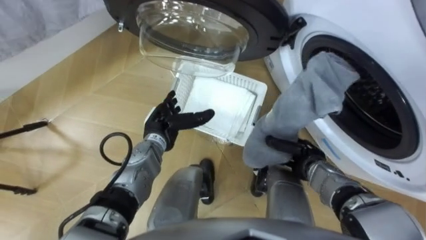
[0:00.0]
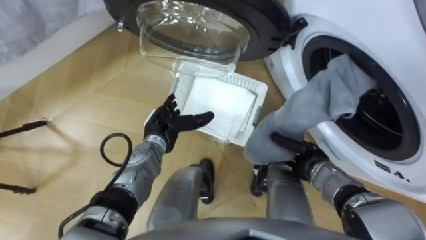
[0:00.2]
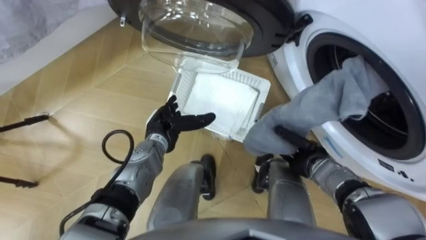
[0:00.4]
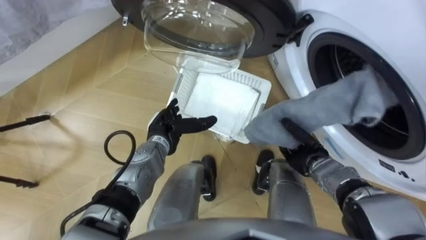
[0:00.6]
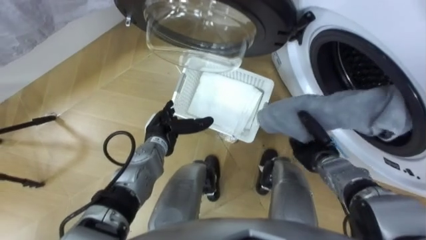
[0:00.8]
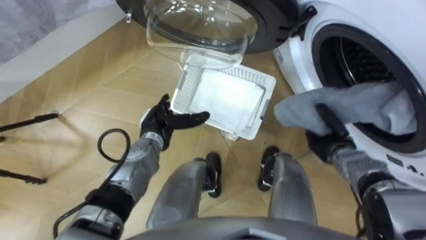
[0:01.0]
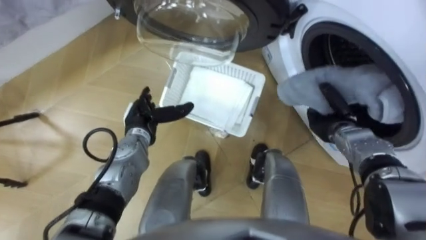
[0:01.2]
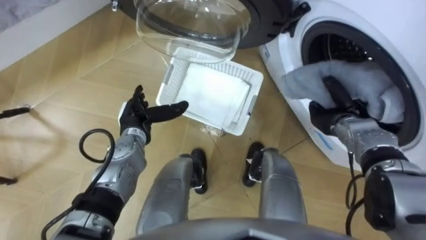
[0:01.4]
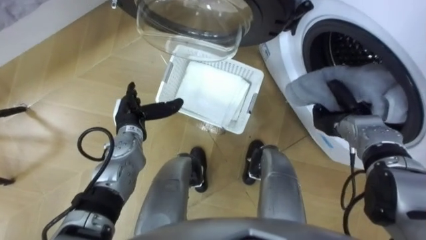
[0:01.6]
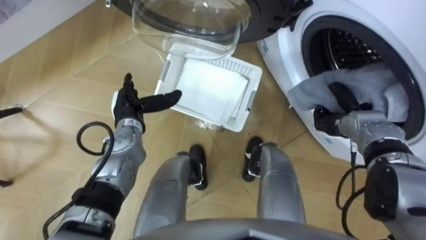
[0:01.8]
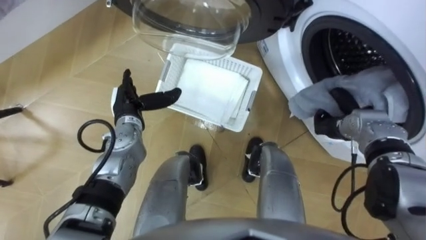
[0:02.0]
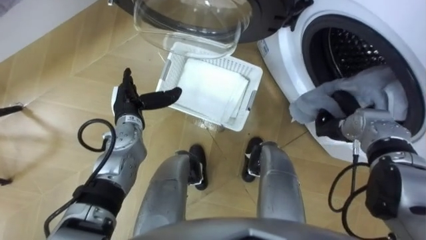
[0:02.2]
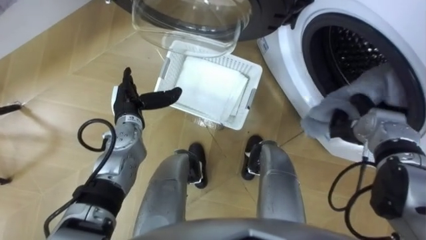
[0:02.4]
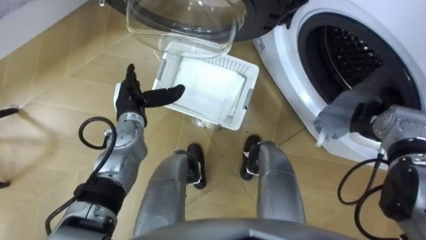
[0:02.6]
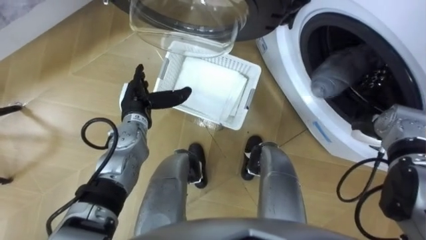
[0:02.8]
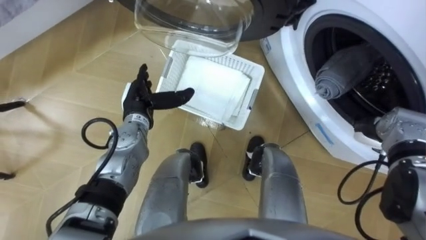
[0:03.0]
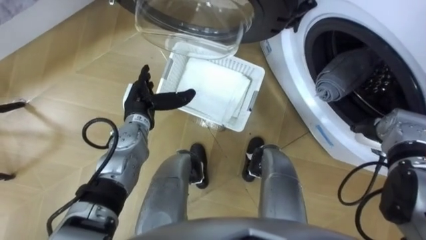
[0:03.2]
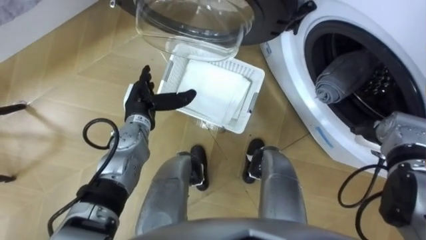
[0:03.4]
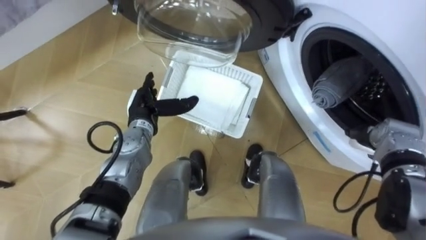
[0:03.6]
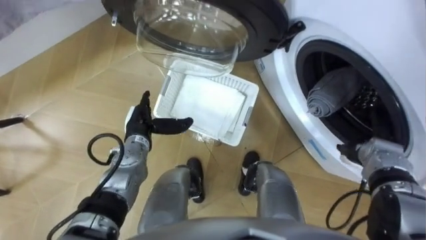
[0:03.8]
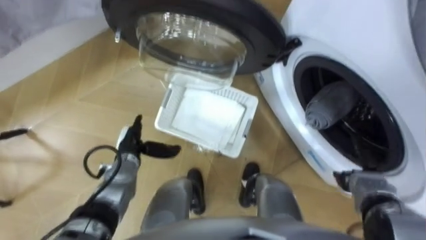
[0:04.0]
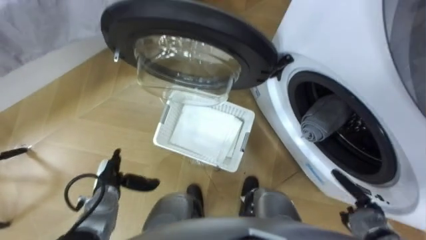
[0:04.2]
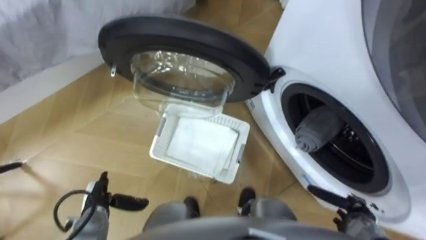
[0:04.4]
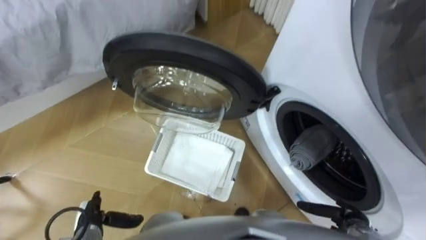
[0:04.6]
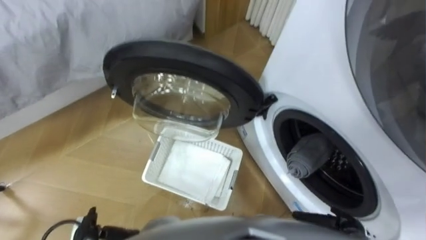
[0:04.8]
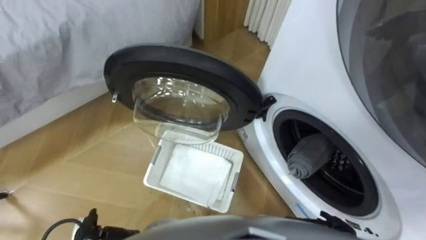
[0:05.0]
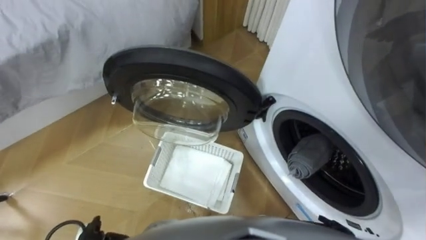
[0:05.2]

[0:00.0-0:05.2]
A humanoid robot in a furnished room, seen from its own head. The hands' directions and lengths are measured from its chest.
Task of the whole recording: Take the towel from the basket and put it into the washing machine.
0:00.0 to 0:01.8: The left hand is displaced to the left by roughly 5 cm. The right hand goes about 10 cm forward, to the right and upward.
0:01.8 to 0:03.4: The right hand travels to the right by approximately 10 cm, and opens its fingers.

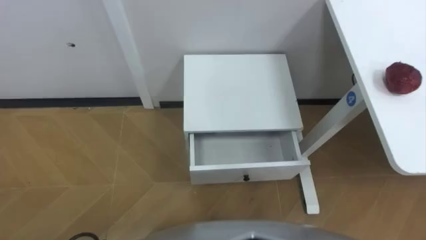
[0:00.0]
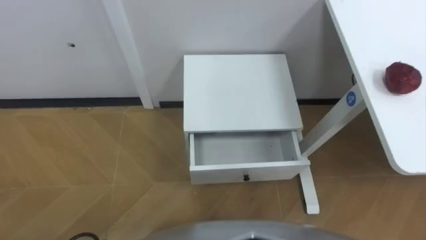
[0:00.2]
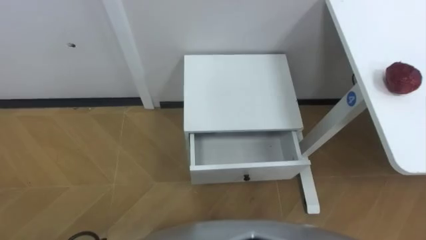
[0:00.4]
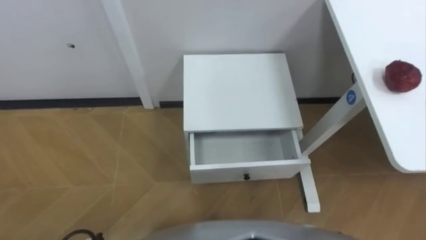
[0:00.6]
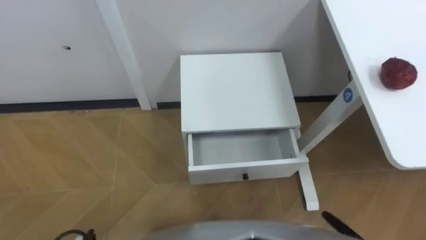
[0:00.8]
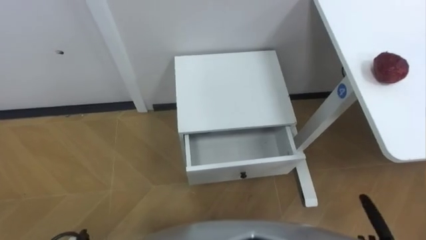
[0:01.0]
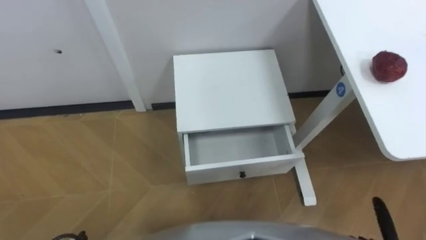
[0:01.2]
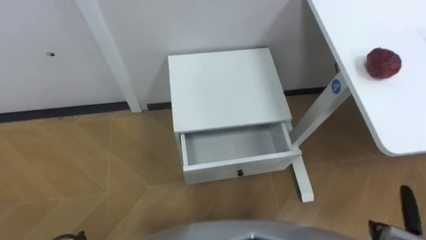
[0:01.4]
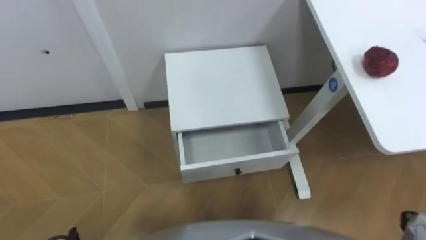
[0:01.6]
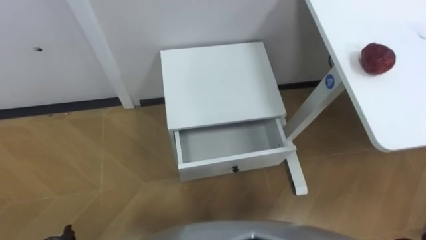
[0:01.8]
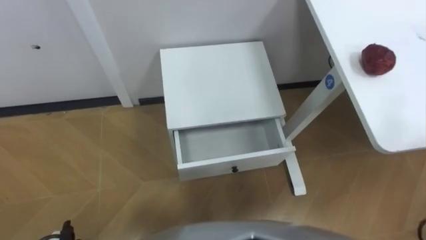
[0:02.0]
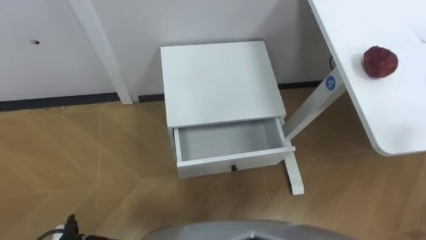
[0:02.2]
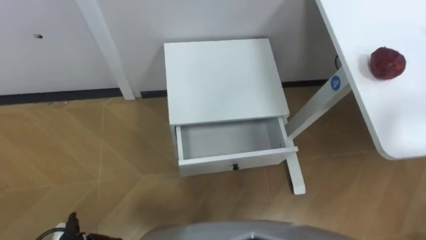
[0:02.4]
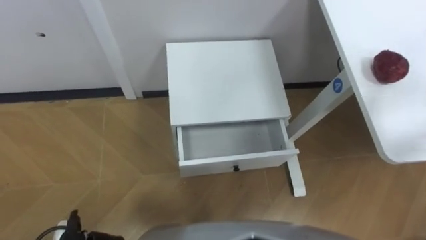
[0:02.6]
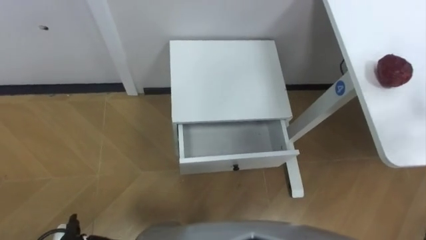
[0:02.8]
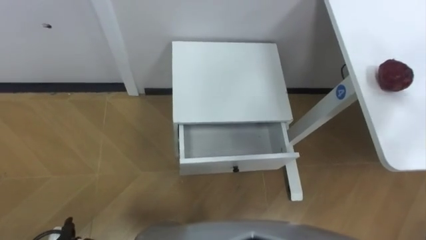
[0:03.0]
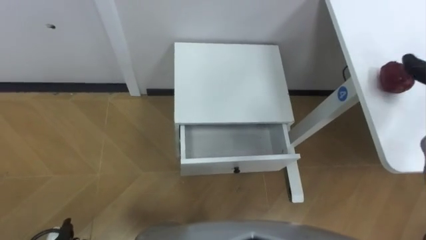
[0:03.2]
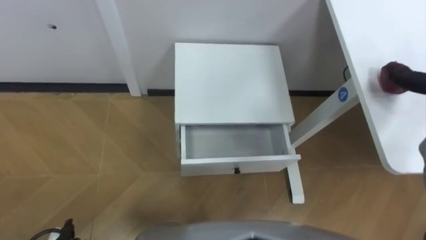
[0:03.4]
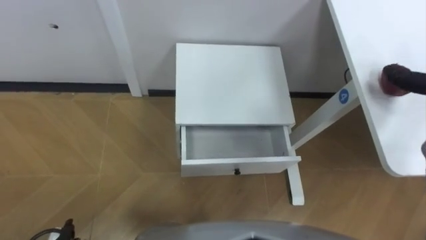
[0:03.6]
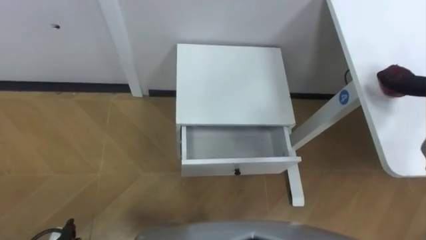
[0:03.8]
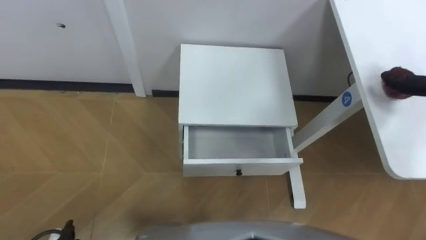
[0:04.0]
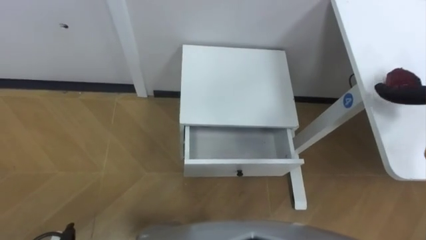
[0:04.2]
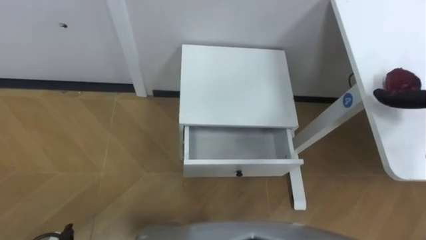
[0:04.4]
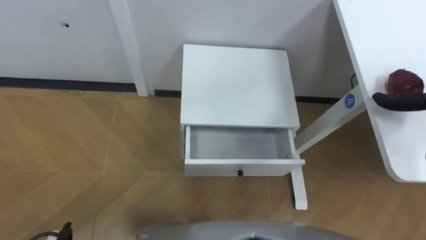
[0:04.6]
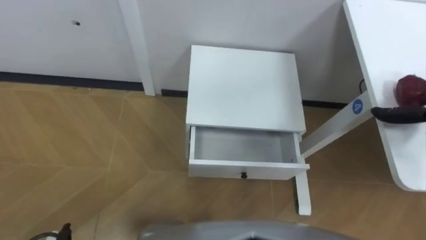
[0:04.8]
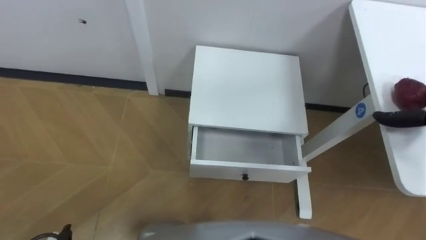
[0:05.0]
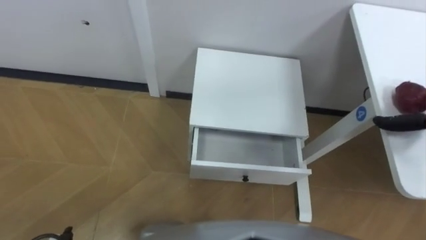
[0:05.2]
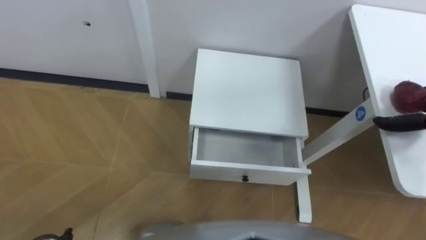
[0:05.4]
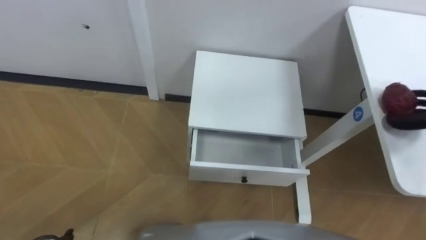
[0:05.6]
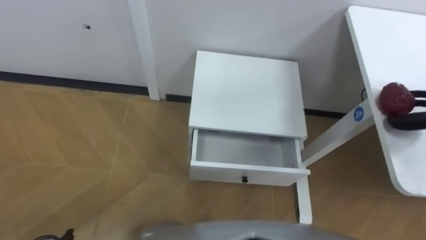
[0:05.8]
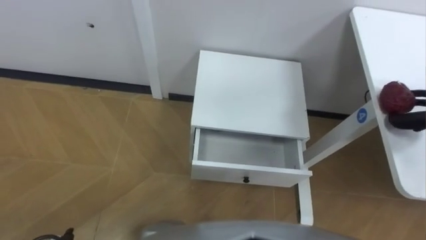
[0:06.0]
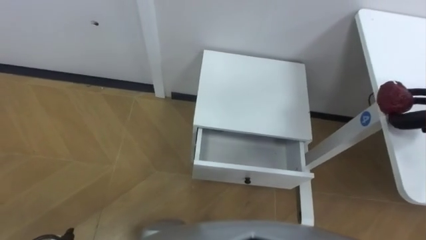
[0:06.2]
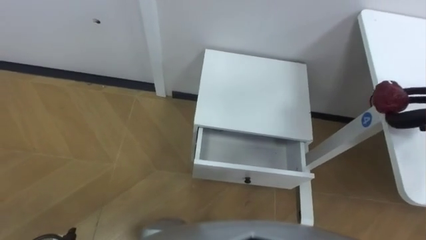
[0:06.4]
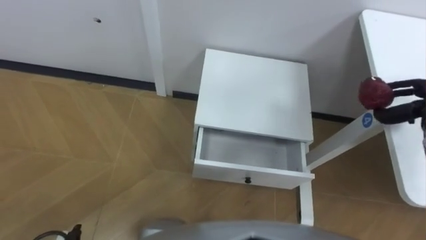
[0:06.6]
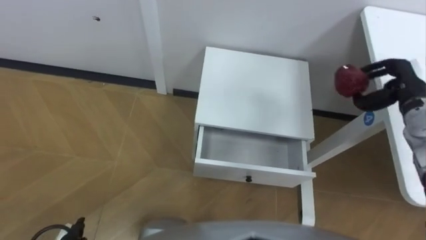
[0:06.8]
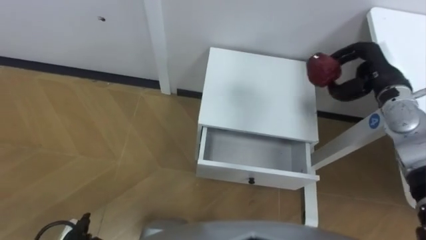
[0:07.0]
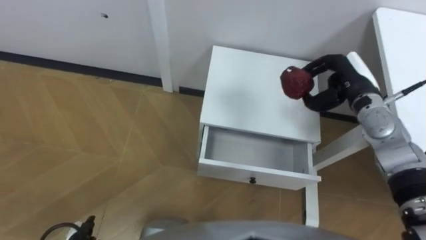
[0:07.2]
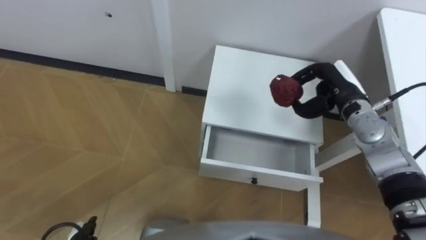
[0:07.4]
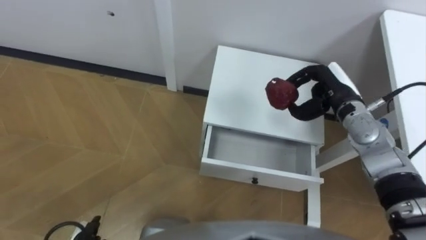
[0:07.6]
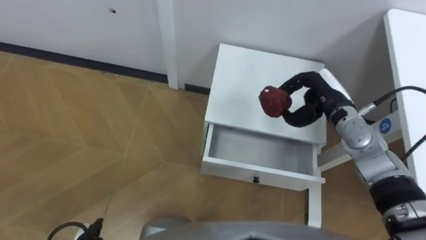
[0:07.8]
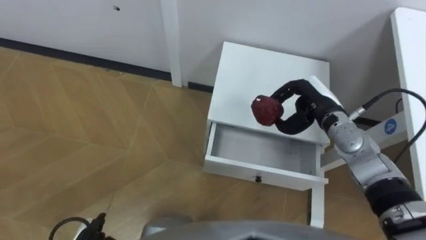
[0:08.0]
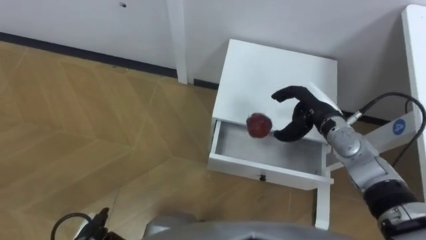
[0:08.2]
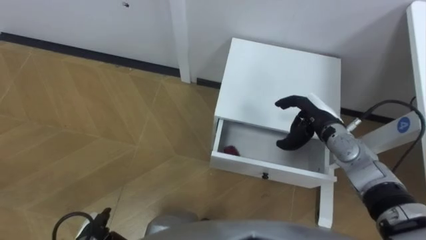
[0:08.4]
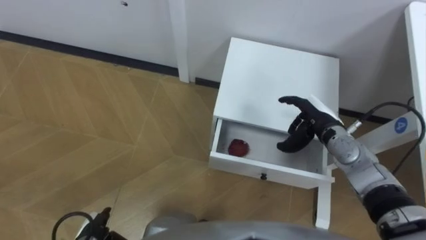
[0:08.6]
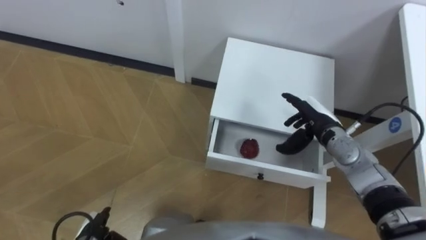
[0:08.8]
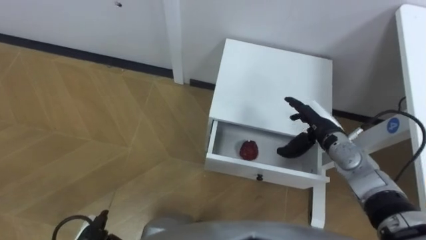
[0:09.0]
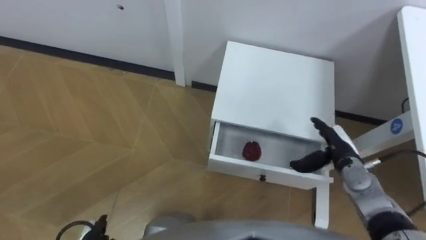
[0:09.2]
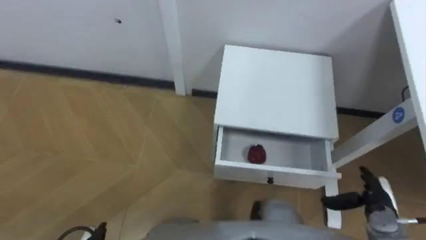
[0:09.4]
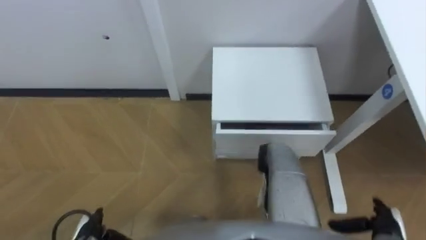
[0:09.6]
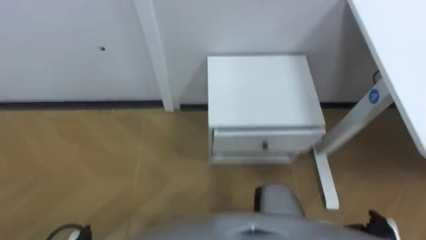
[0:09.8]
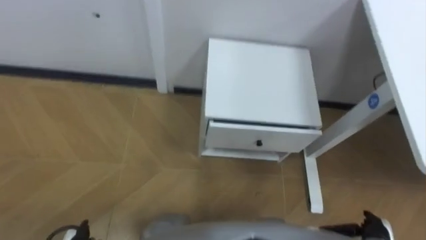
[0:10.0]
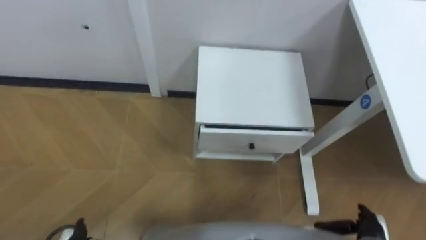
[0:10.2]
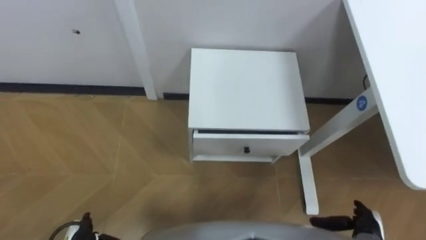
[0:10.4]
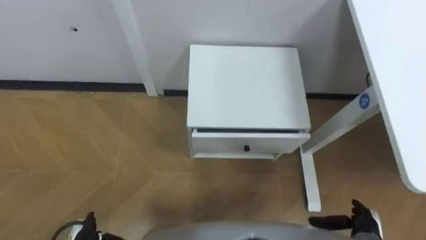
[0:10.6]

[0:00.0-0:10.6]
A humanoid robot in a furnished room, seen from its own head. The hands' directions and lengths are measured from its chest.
Task of the whole recording: Pick up the apple from the table, put it in the drawer, and close the drawer with leg.
0:07.6 to 0:09.0: The right hand is displaced downward by some 5 cm, and opens up.
0:09.0 to 0:10.6: The right hand heads backward, downward and to the right, covering approximately 25 cm.

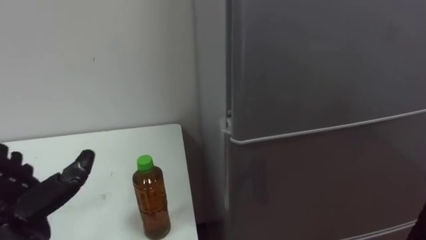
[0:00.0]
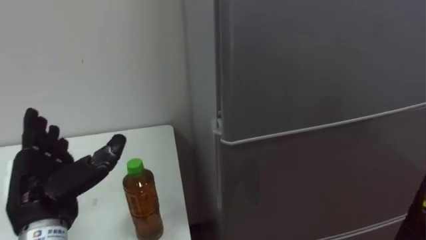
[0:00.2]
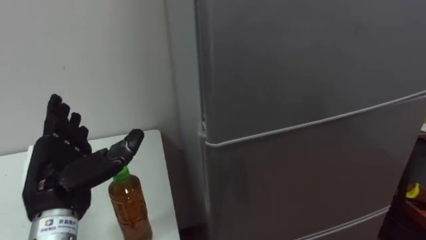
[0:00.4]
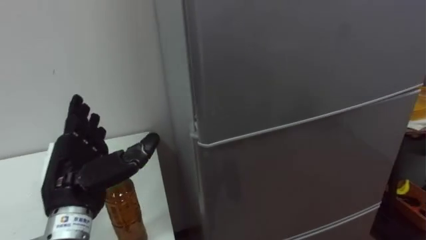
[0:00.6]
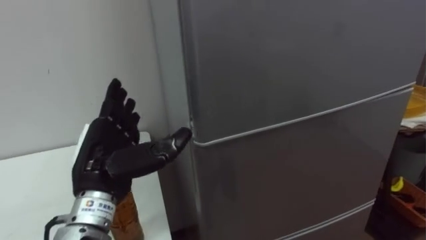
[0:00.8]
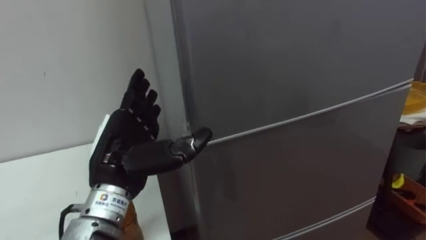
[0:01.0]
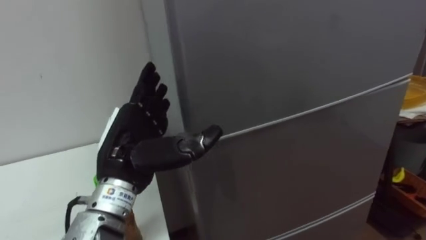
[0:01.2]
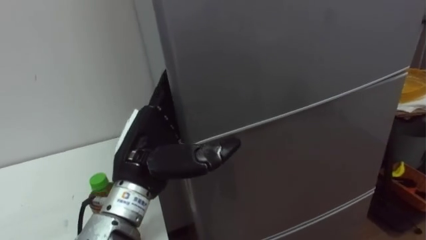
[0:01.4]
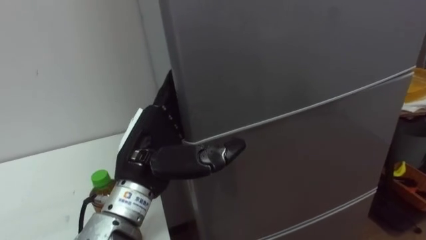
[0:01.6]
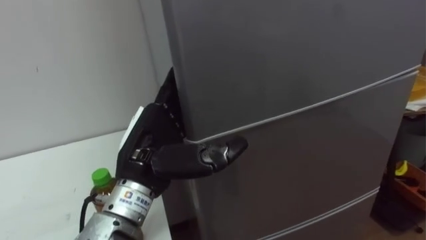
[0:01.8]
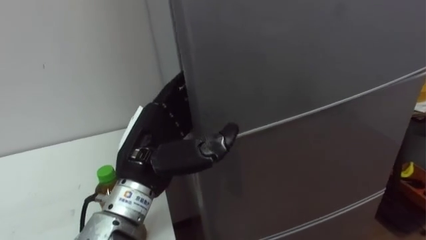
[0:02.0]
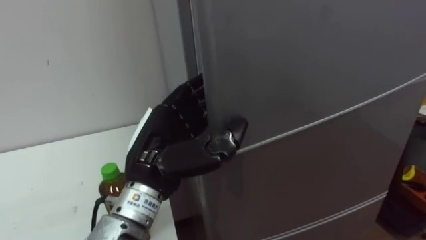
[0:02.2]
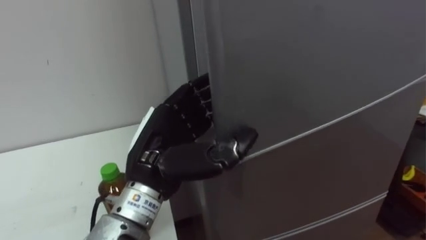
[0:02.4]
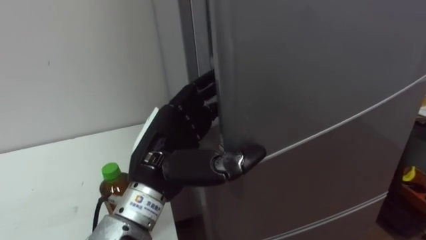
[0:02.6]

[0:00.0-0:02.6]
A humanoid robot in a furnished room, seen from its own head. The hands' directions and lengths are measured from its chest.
Task of the whole recording: Open the upper refrigerator door, put the drink from the table into the refrigerator, and then close the refrigerator door.
0:00.0 to 0:01.2: The left hand is displaced to the right and upward by approximately 15 cm.
0:01.2 to 0:02.6: The left hand is displaced to the right by some 5 cm.
